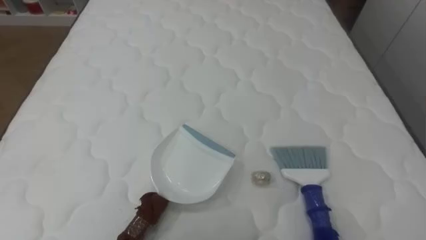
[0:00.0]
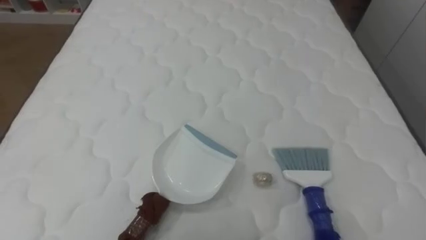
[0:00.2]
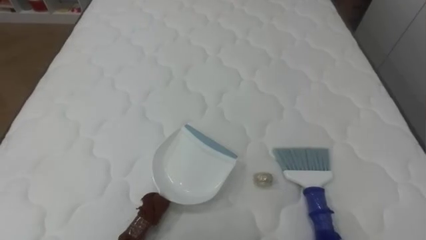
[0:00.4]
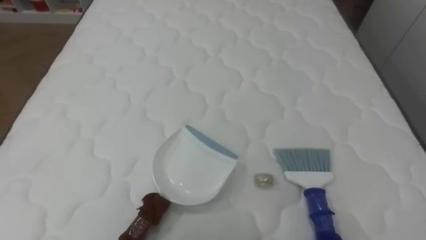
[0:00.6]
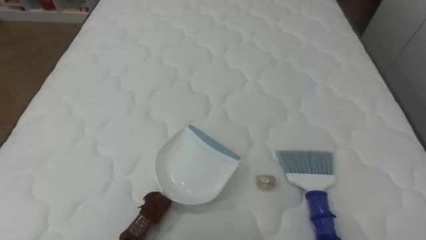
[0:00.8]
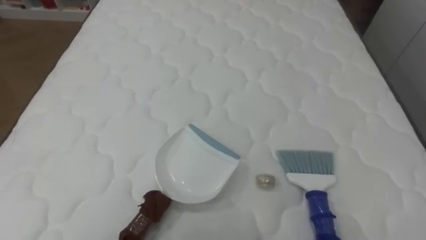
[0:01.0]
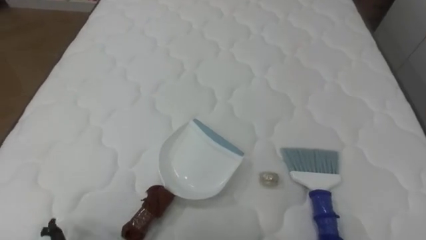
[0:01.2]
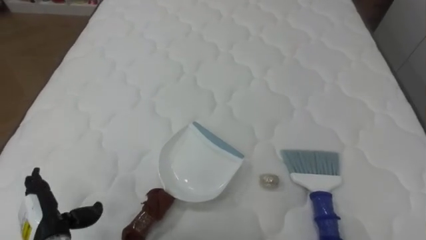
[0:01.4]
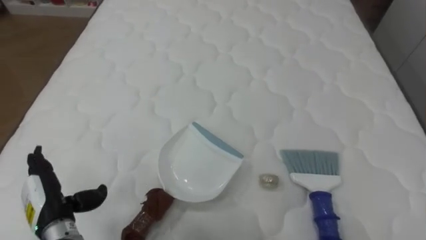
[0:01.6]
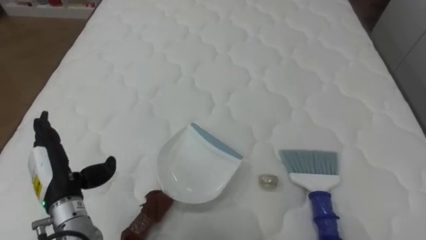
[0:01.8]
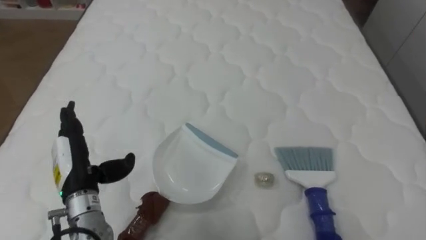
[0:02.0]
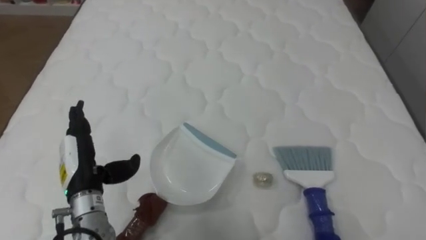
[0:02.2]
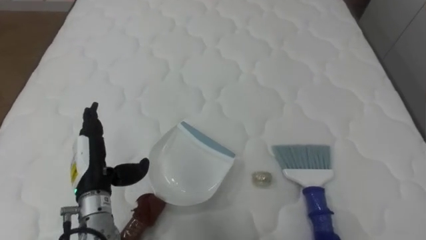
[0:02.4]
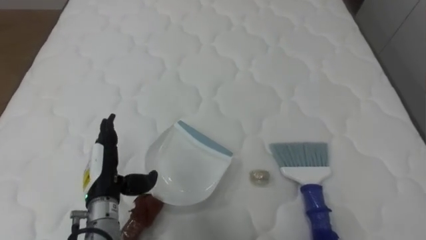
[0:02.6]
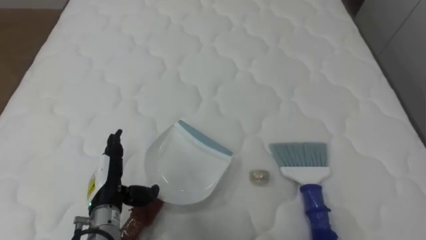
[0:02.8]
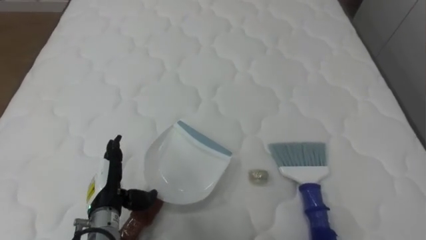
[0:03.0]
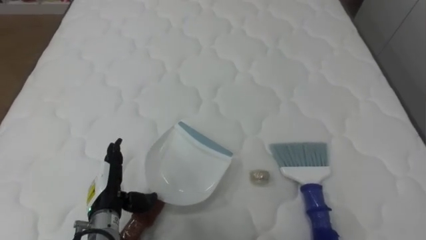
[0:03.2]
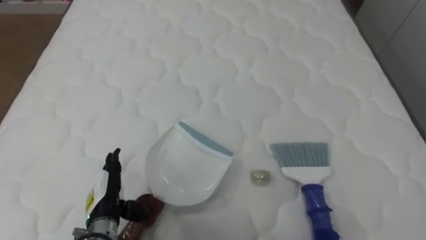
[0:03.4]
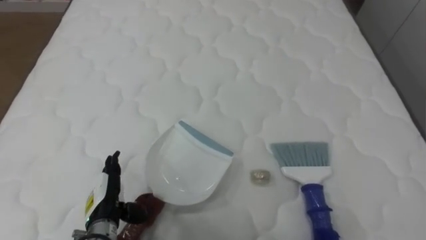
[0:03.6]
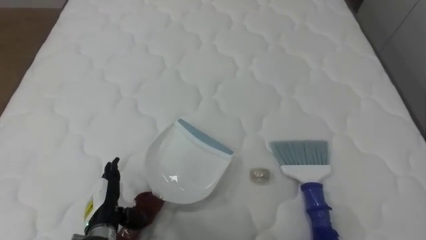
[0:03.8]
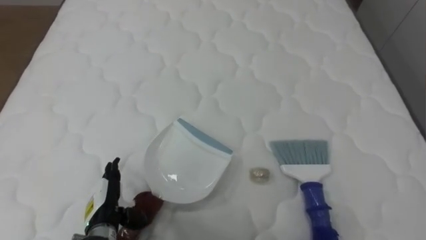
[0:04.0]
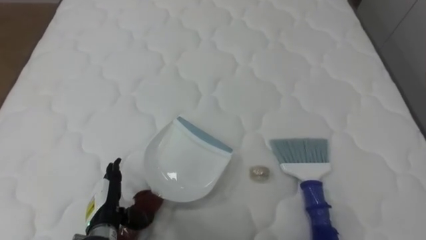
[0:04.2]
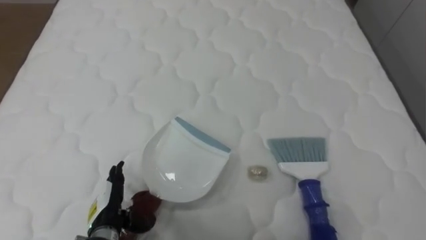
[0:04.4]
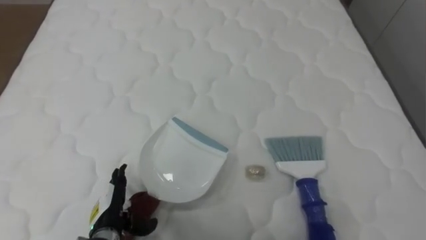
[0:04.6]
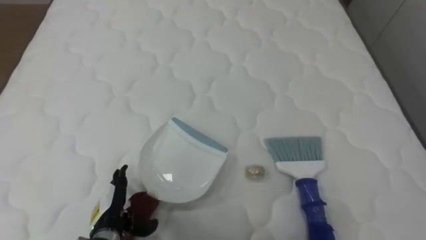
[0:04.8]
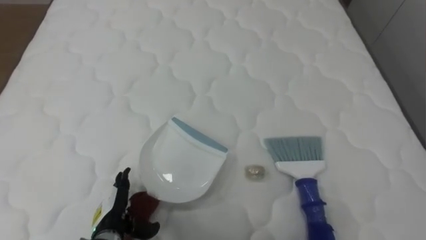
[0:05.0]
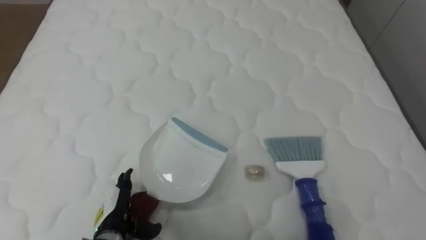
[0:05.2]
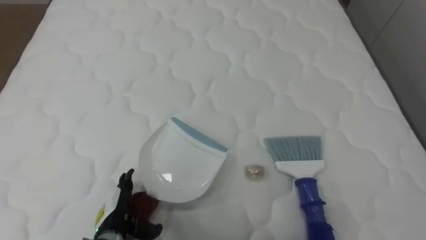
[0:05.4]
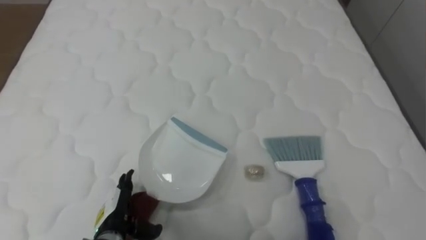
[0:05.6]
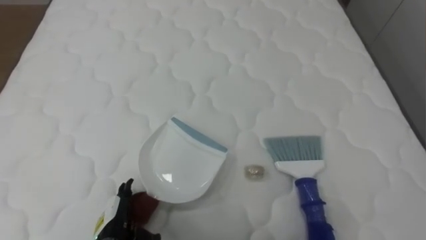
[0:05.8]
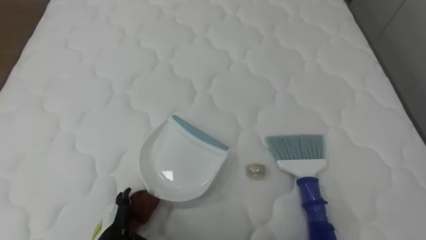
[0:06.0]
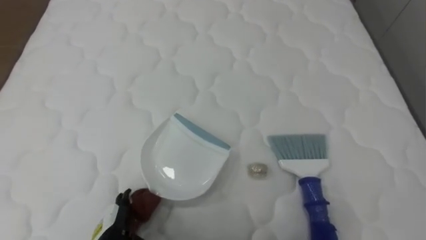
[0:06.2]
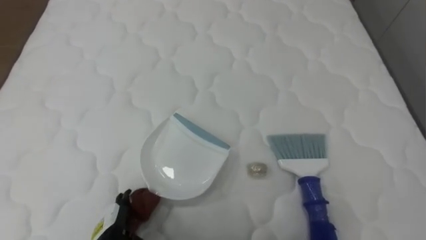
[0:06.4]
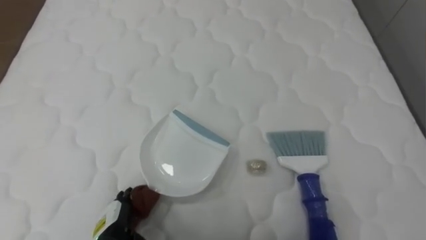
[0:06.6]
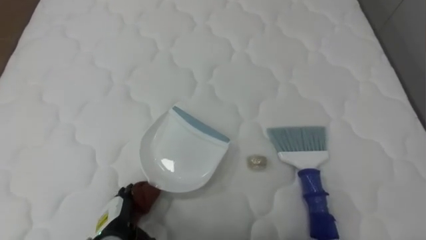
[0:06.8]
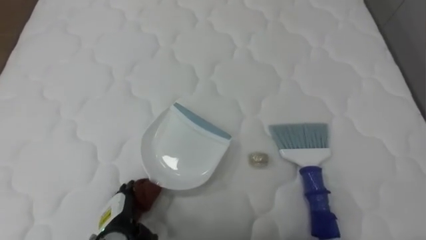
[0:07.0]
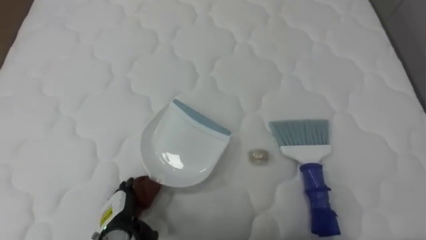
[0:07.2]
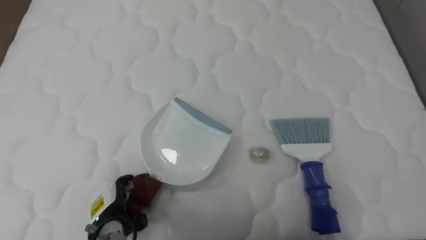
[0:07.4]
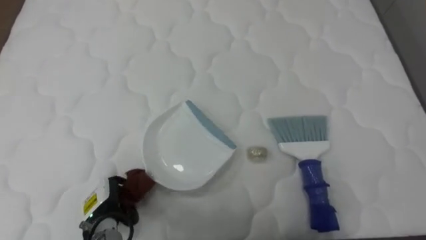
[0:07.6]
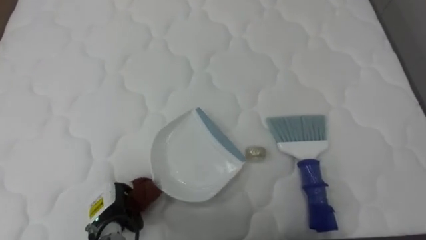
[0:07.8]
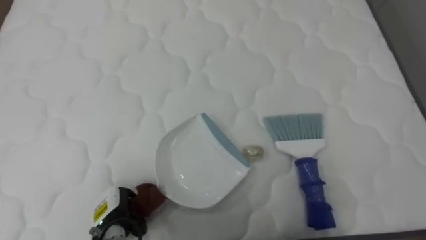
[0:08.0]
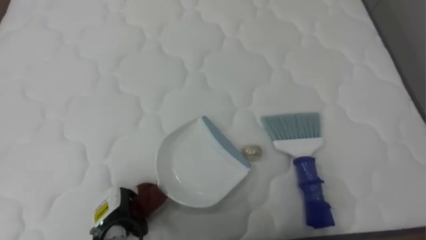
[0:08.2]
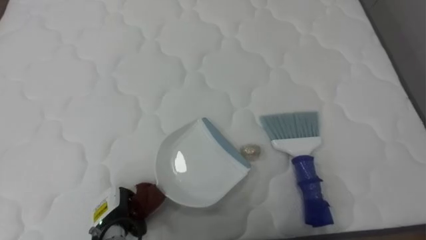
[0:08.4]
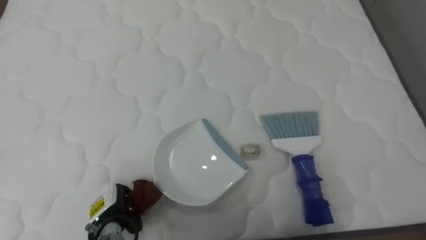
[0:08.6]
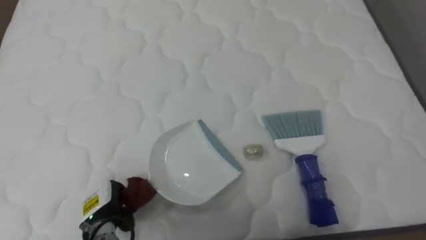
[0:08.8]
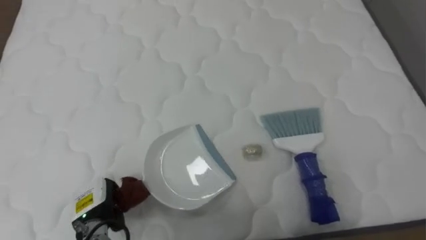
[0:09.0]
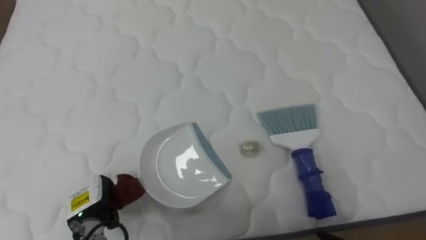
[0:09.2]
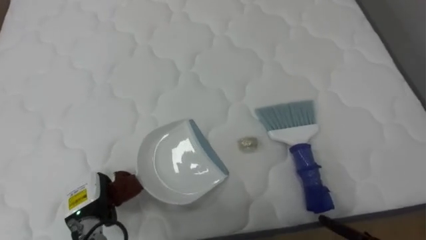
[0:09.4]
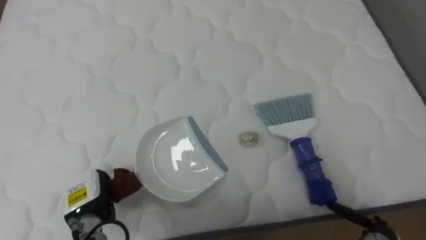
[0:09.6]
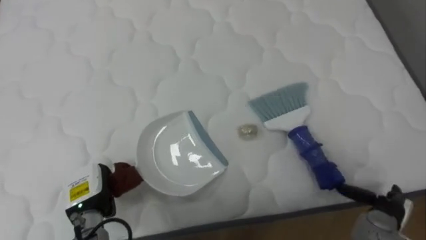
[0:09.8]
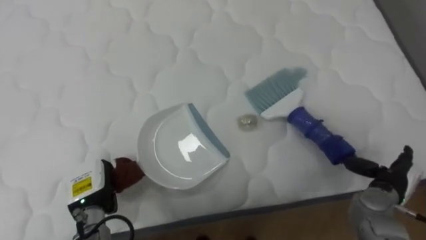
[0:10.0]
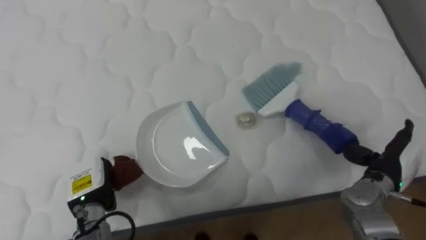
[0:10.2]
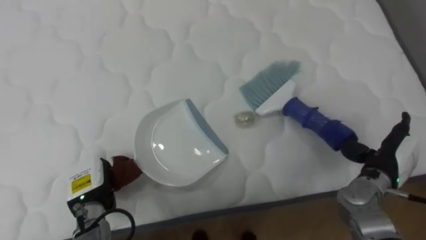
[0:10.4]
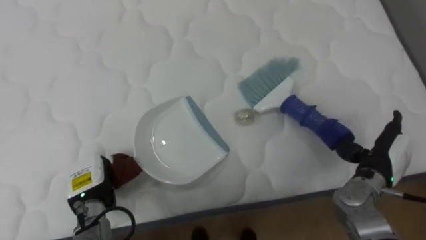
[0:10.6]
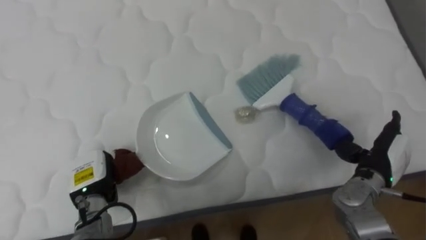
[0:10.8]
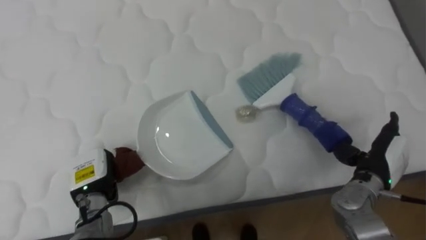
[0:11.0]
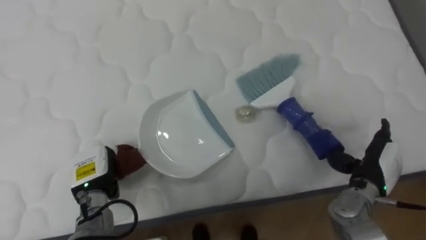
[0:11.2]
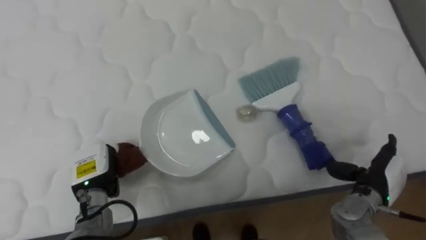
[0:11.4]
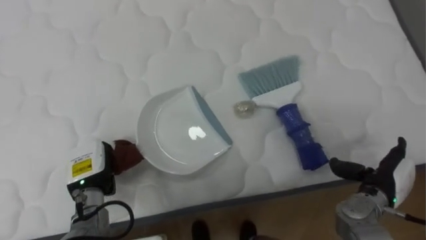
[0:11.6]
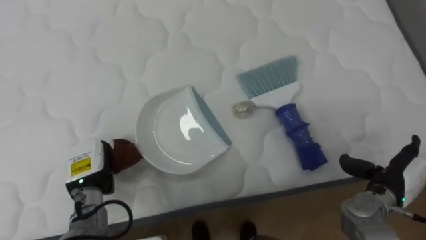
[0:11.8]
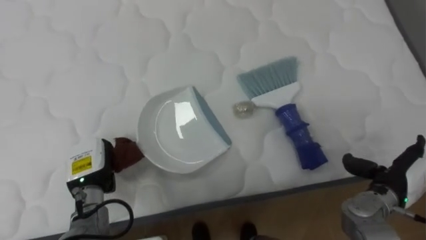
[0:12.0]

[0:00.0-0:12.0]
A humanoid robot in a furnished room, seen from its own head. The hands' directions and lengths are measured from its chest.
Task of the whole recording: Pick up the brush on your right and the dustpan on your left. Use the brush to sweep the crumpled paper on the bed into the dustpan, then turn left and empty it into the basket.
0:01.6 to 0:03.0: The left hand is displaced to the right by about 10 cm.
0:03.0 to 0:04.4: The left hand ends up roughly 5 cm from where it was.
0:04.4 to 0:06.0: The left hand ends up approximately 5 cm from where it was.
0:06.0 to 0:07.6: The left hand moves about 5 cm, and closes its fingers.
0:07.6 to 0:09.0: The left hand closes up.

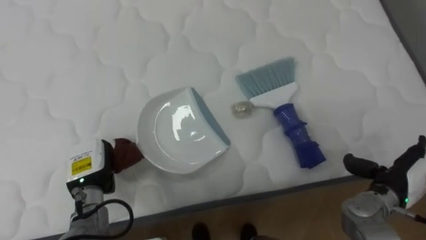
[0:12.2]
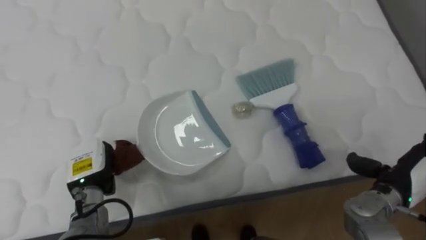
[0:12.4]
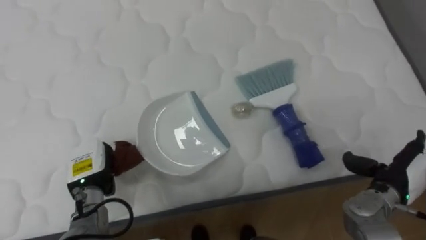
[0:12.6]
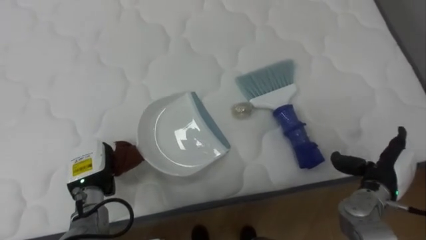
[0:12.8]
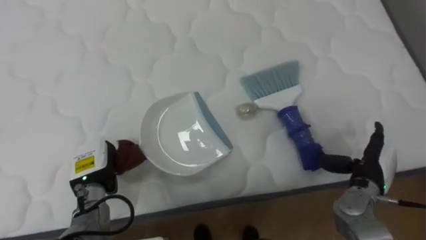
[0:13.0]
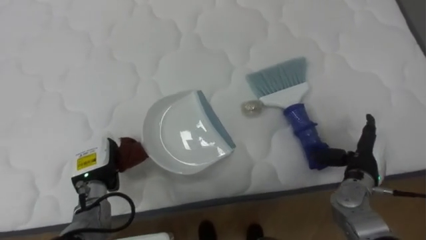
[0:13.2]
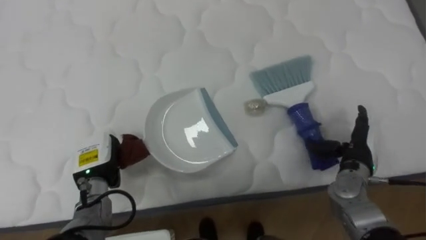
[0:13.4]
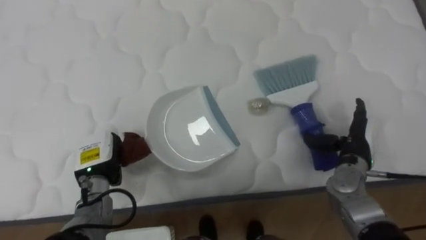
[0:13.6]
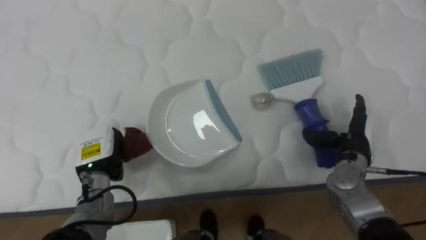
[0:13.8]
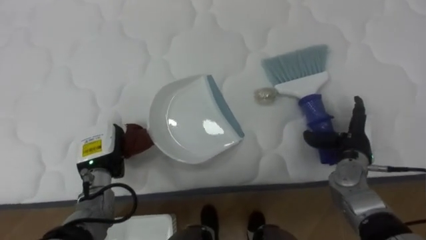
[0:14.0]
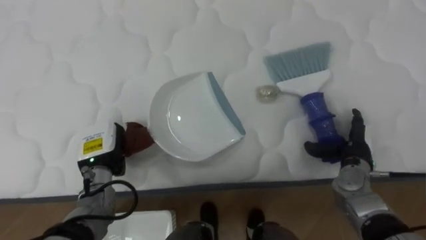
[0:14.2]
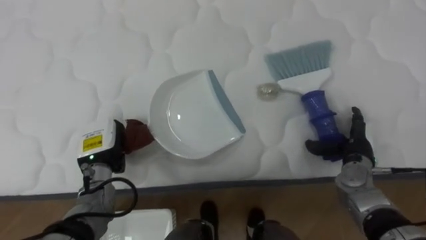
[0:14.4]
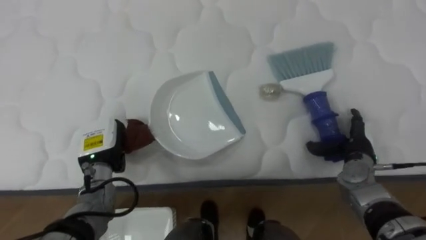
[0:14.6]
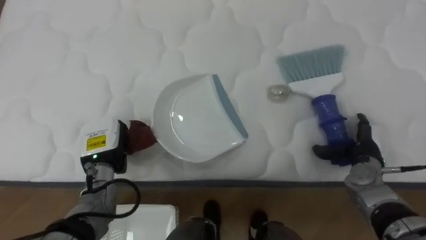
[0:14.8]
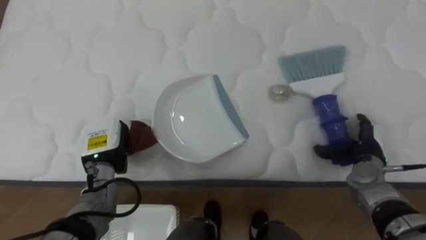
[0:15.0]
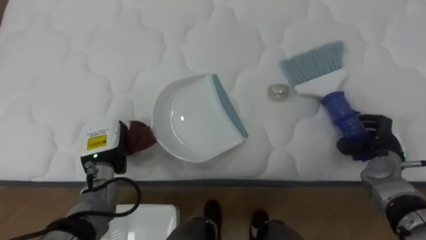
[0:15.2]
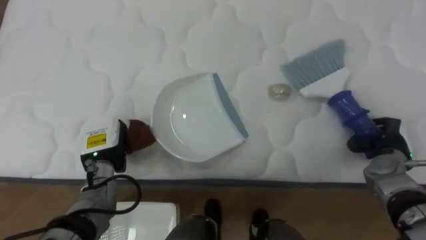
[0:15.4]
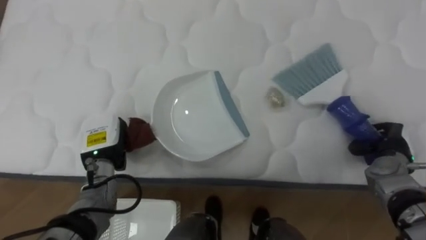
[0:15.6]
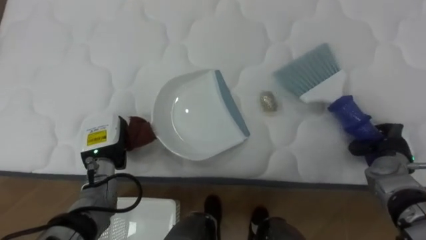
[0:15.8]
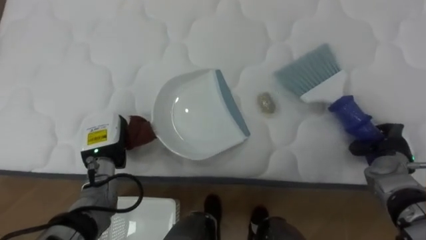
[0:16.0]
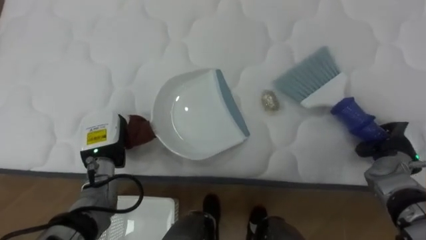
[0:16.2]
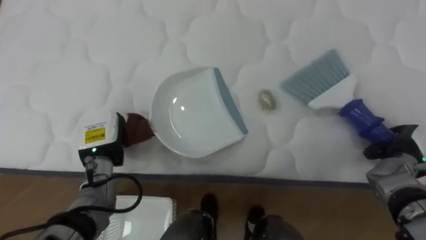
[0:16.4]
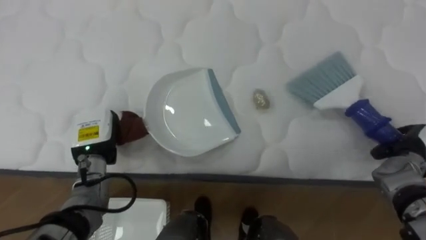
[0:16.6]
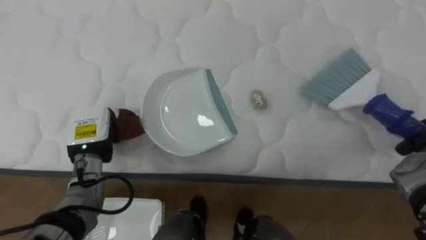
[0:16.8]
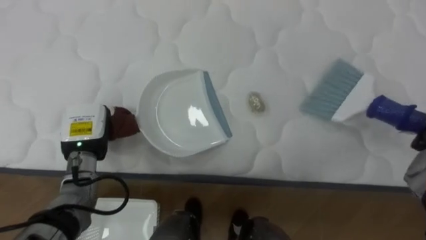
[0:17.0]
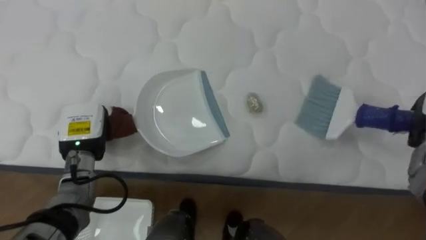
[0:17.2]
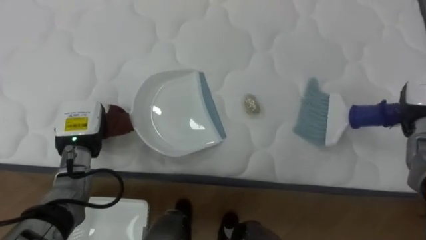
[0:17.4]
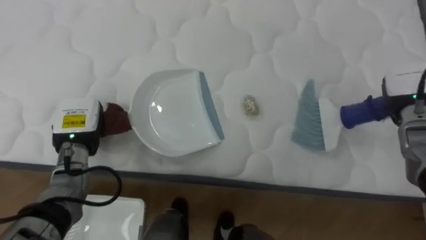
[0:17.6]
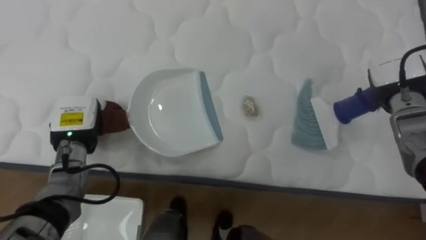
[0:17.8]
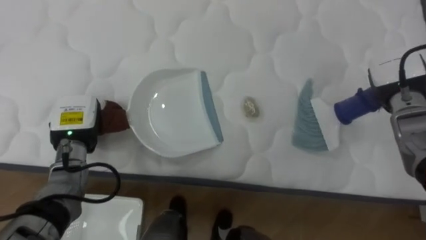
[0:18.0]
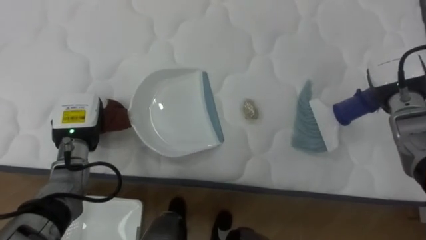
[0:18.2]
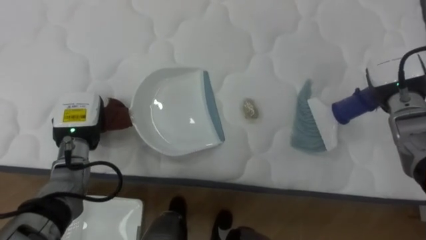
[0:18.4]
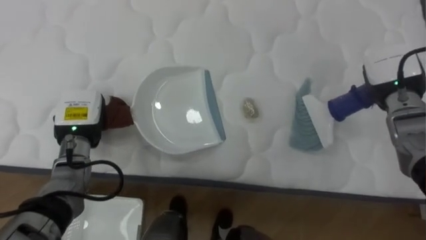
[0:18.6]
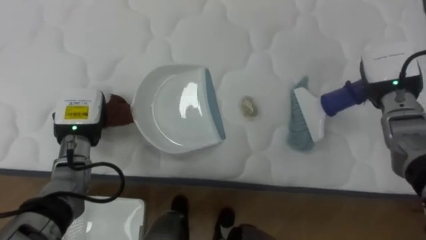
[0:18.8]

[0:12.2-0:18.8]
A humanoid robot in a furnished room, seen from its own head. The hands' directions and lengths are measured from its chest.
Task of the whole recording: Pick up the brush on your right and the dustpan on your left. Use the brush to sweep the crumpled paper on the bed into the dustpan, then turn left and empty it into the basket.
0:12.2 to 0:13.8: The right hand heads forward and to the left, covering roughly 10 cm.
0:13.8 to 0:15.4: The right hand moves to the right, roughly 5 cm, and closes.
